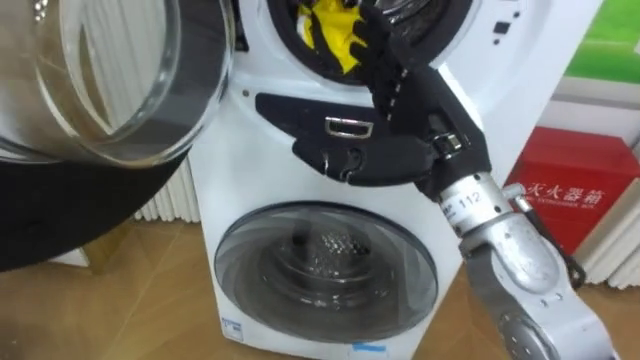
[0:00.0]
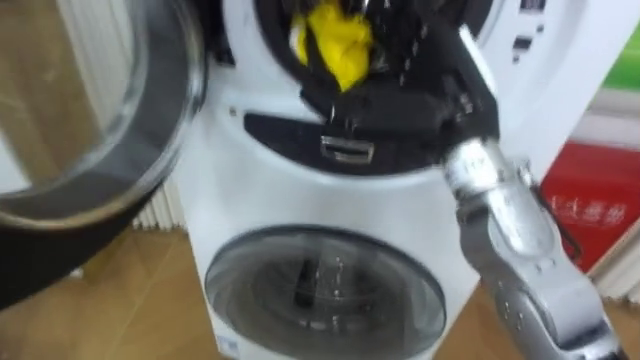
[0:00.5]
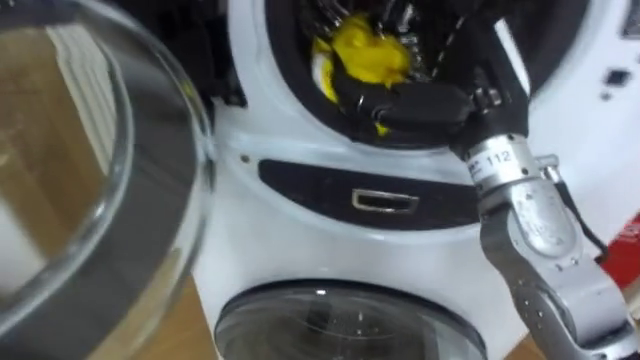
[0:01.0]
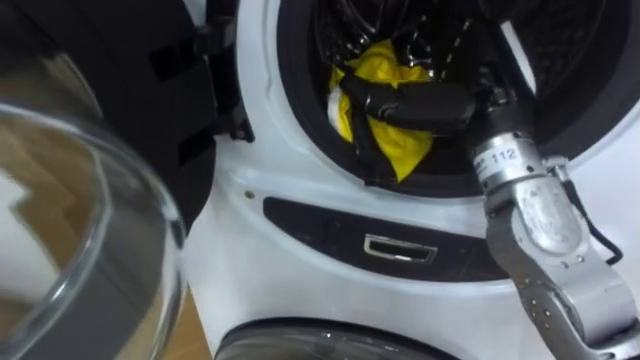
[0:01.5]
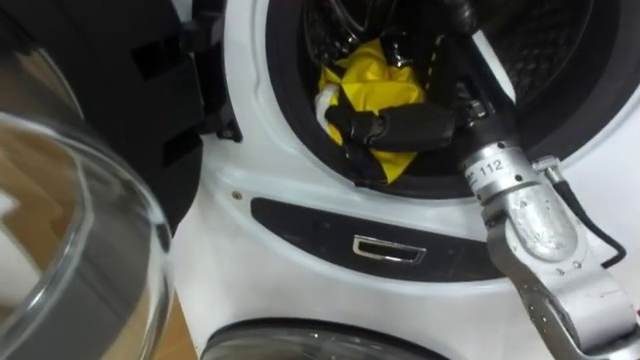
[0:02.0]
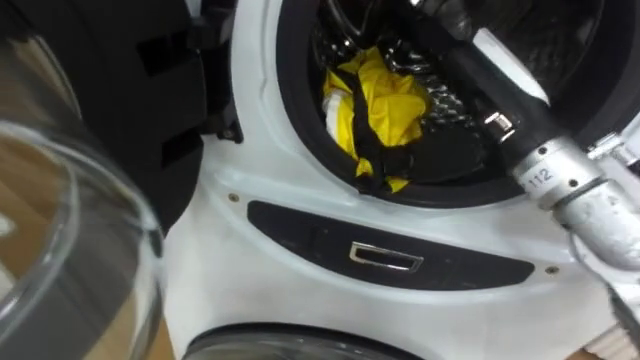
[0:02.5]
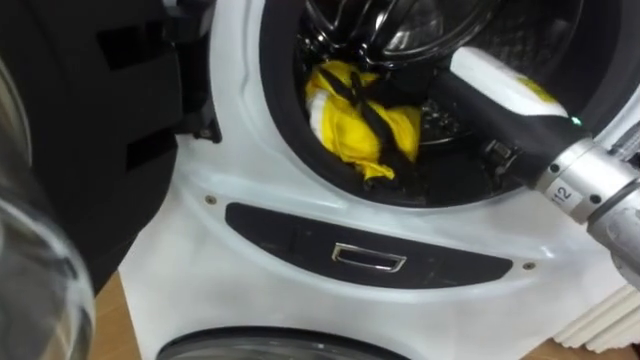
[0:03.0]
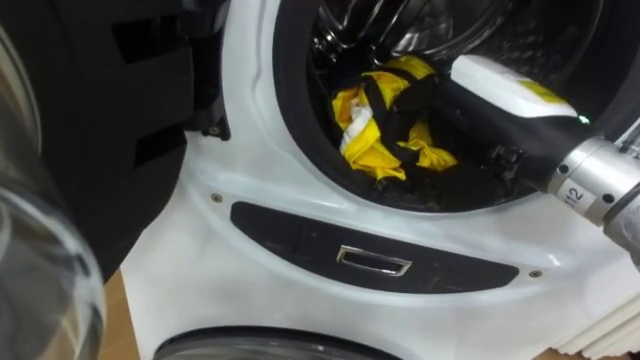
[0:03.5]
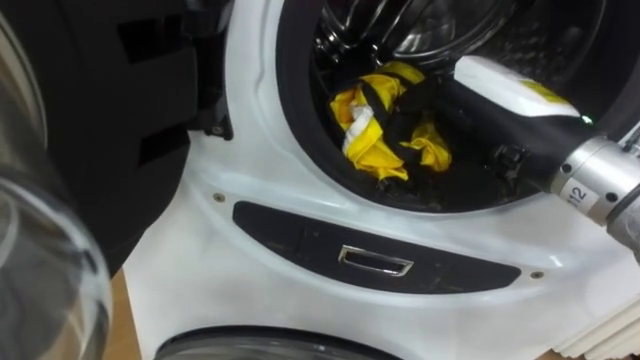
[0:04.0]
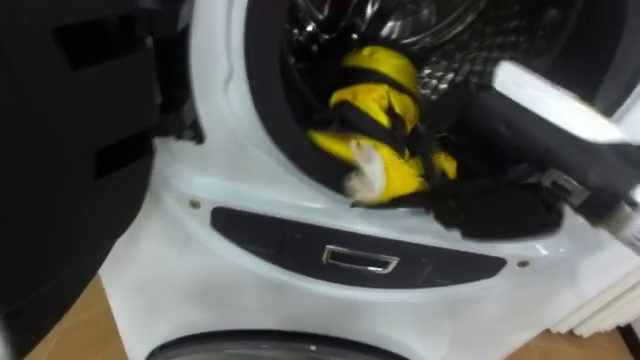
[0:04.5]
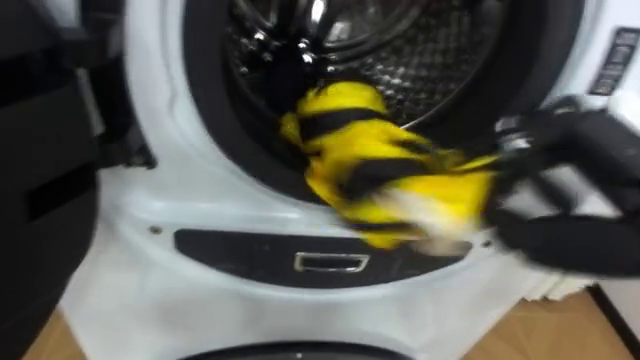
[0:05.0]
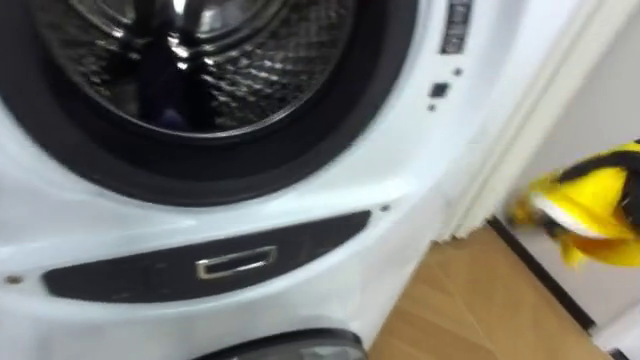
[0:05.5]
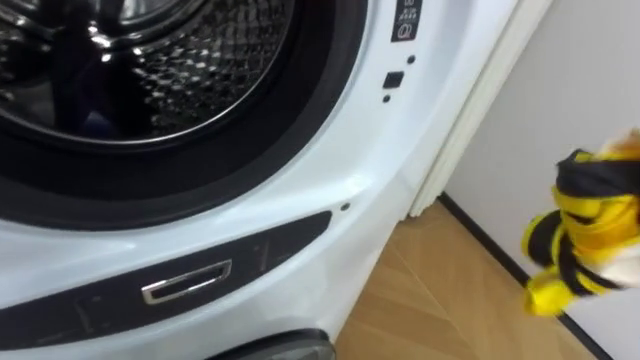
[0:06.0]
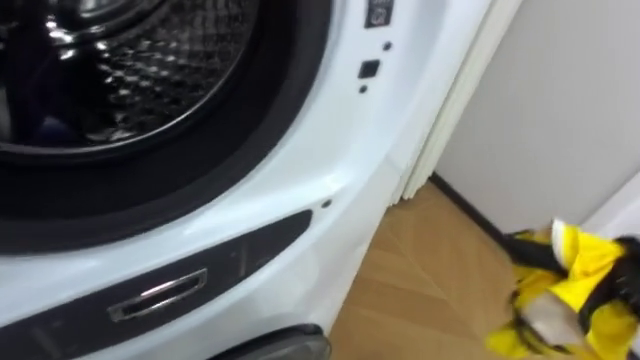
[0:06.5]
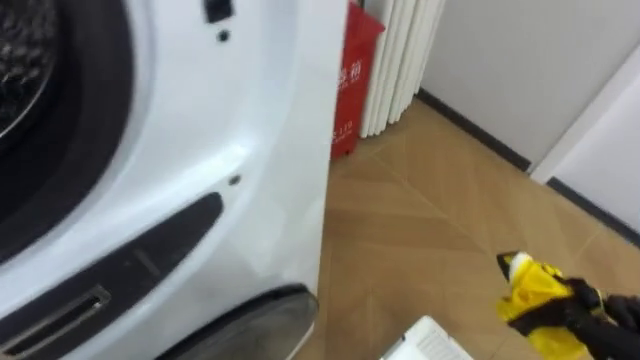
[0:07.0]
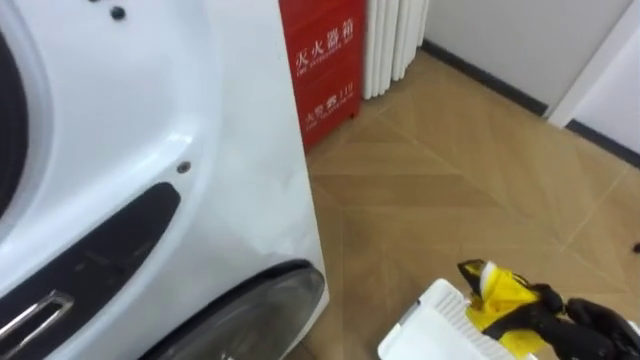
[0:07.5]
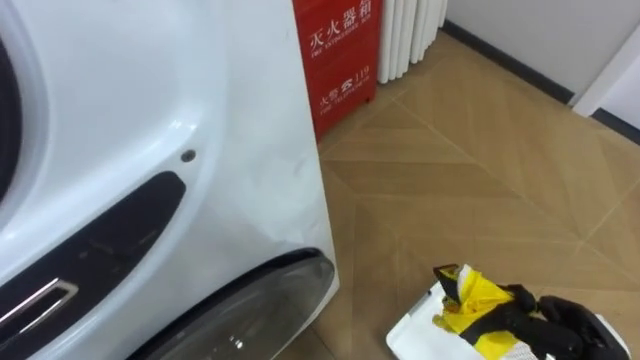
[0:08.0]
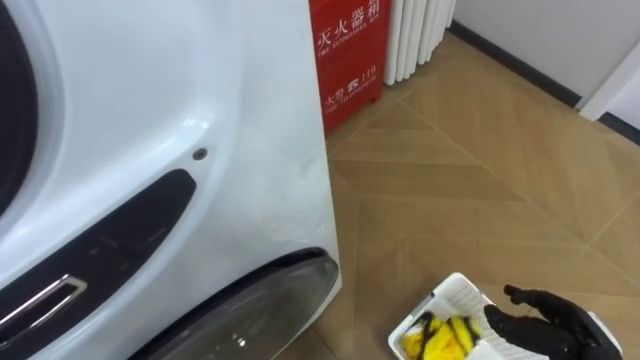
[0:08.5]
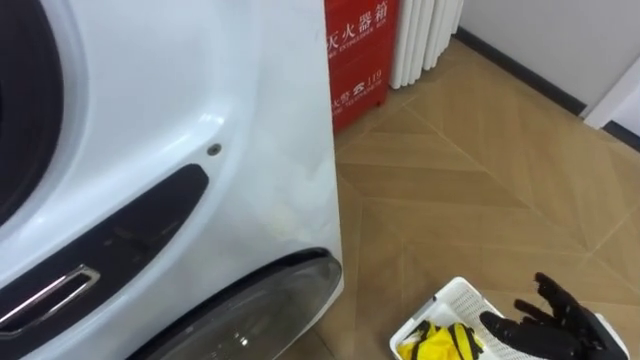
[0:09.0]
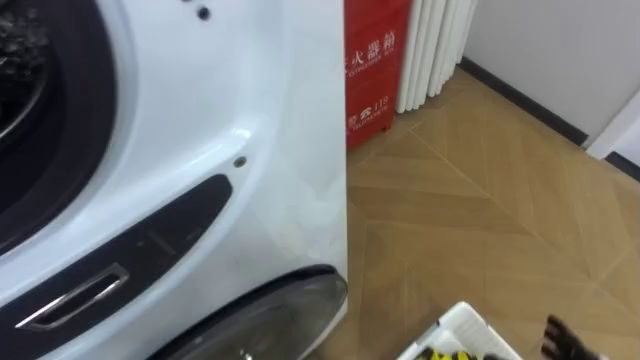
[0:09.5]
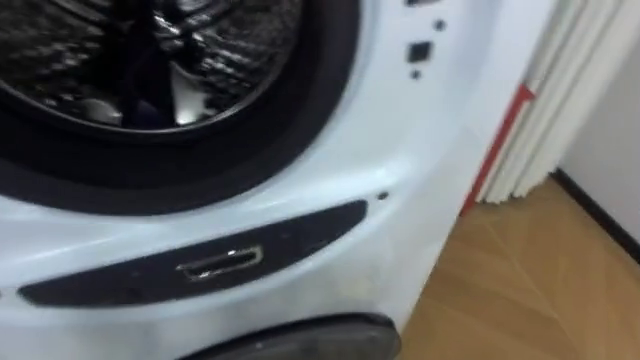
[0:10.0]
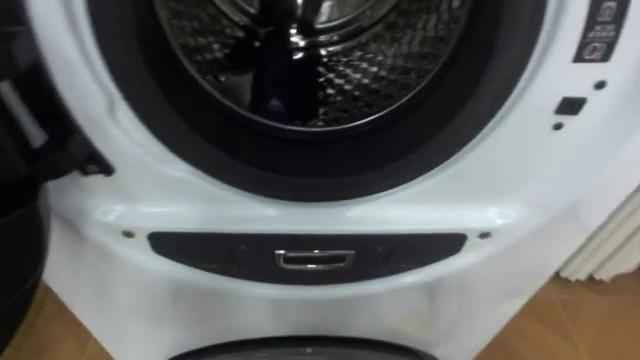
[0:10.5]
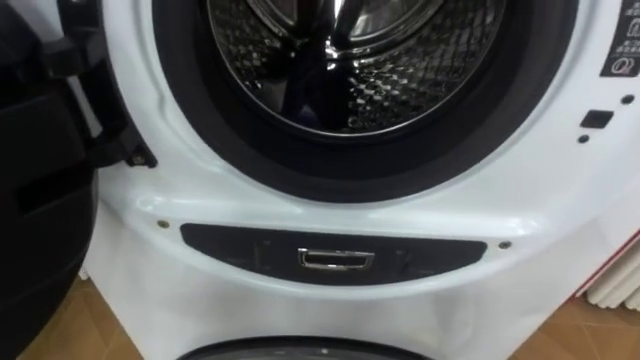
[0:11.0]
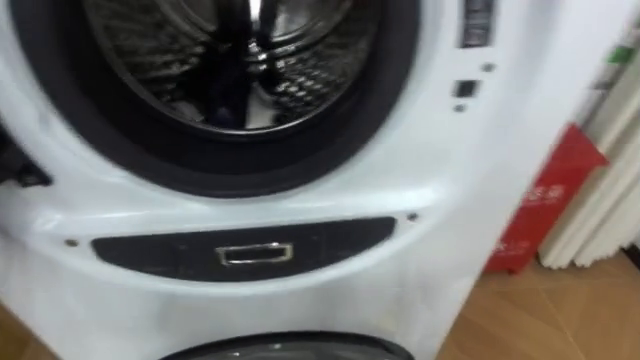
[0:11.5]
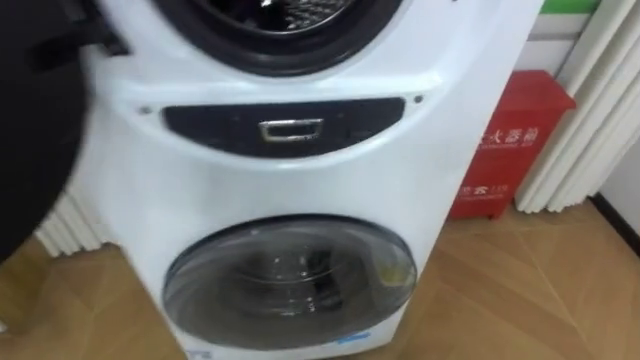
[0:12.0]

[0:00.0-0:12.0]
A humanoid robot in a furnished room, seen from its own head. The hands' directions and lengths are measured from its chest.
Task of the whole recording: Open the washing machine door, take out the yellow clothes, place them in the box on the right, and close the washing machine door.
0:02.0 to 0:04.0: The right hand goes about 5 cm backward, and closes its fingers.

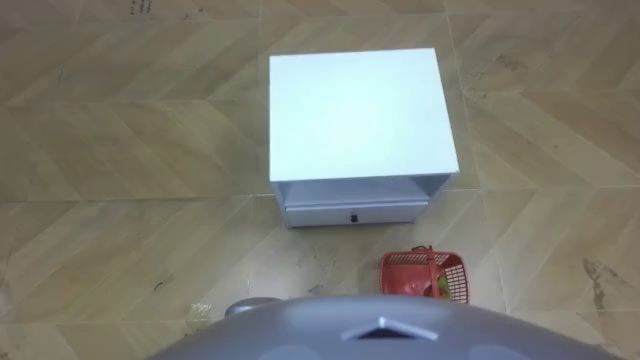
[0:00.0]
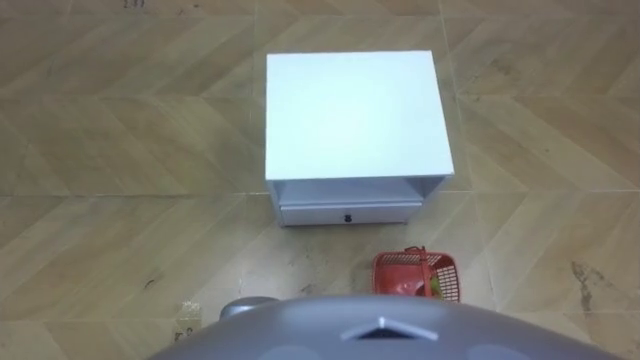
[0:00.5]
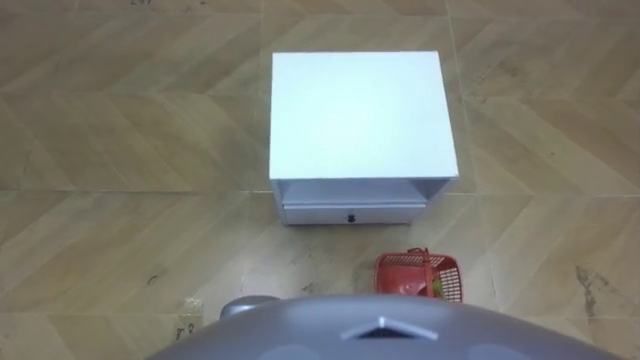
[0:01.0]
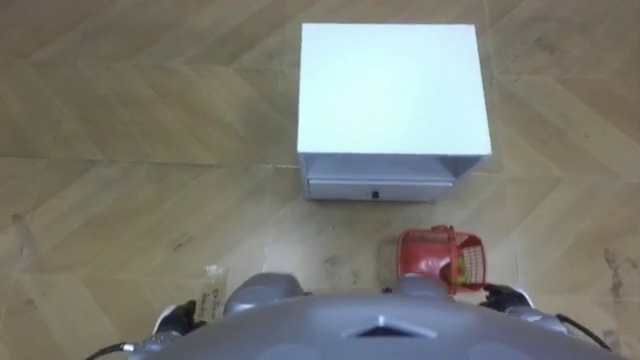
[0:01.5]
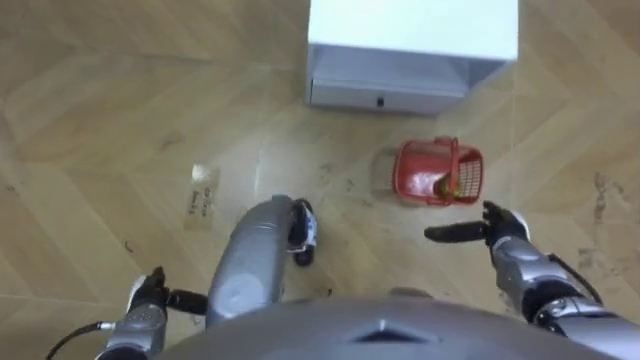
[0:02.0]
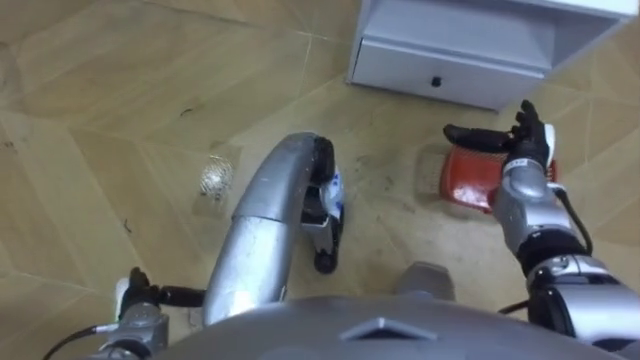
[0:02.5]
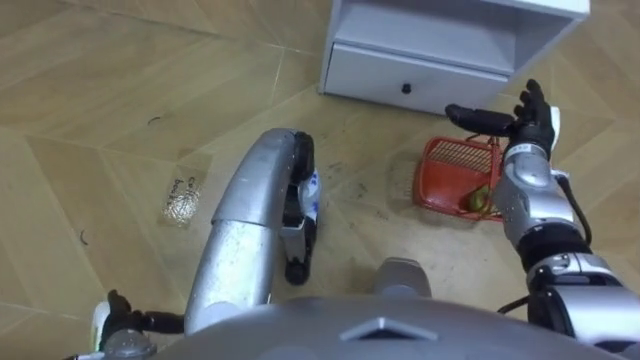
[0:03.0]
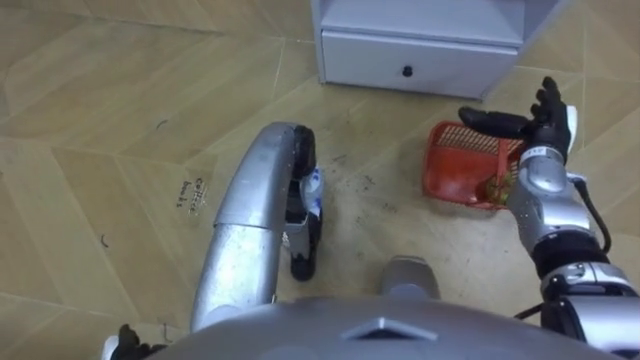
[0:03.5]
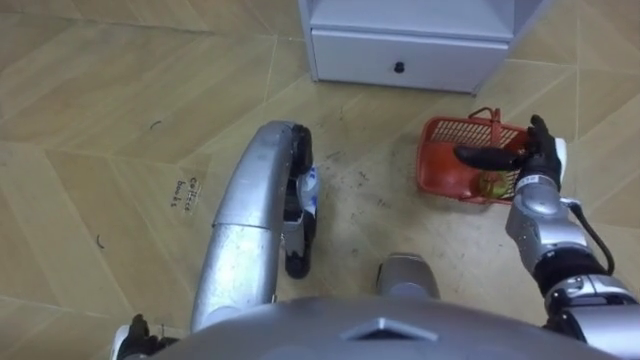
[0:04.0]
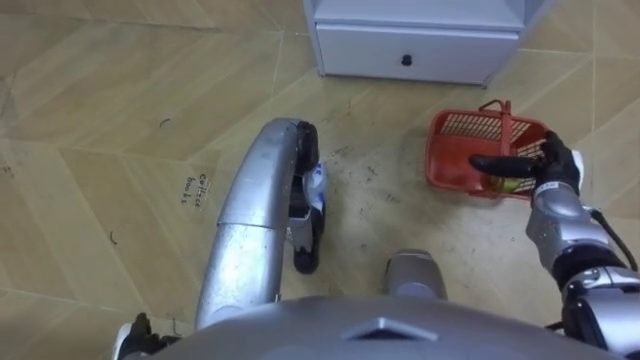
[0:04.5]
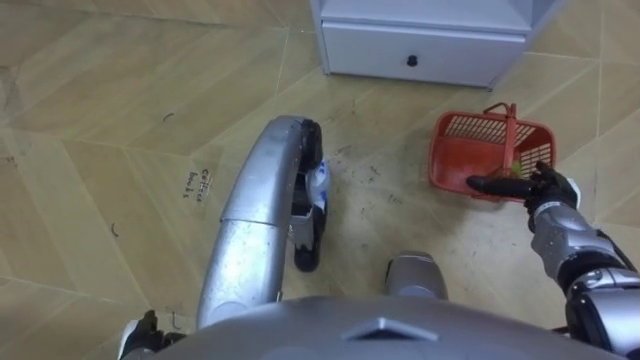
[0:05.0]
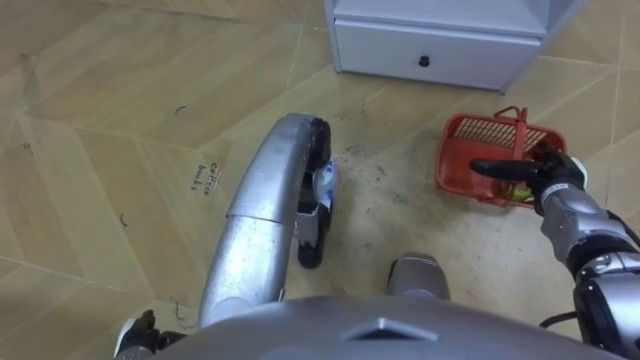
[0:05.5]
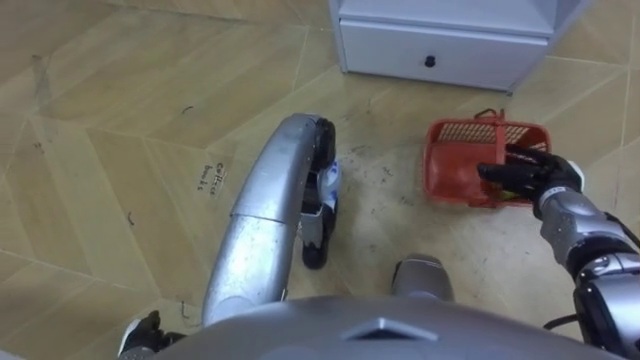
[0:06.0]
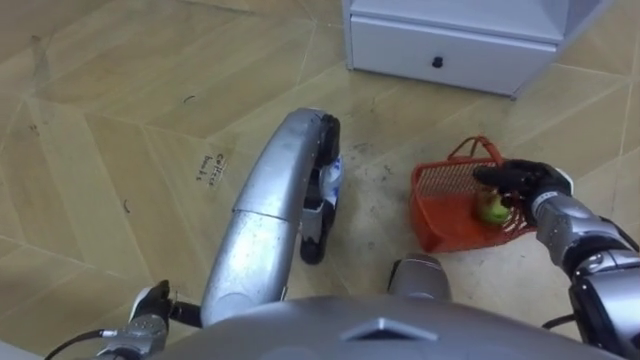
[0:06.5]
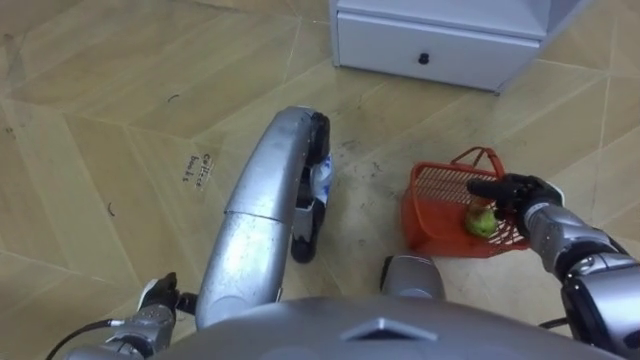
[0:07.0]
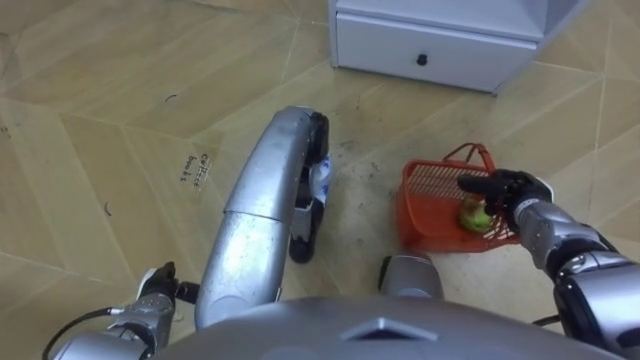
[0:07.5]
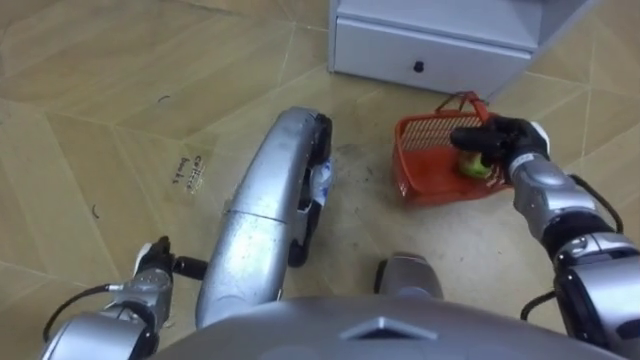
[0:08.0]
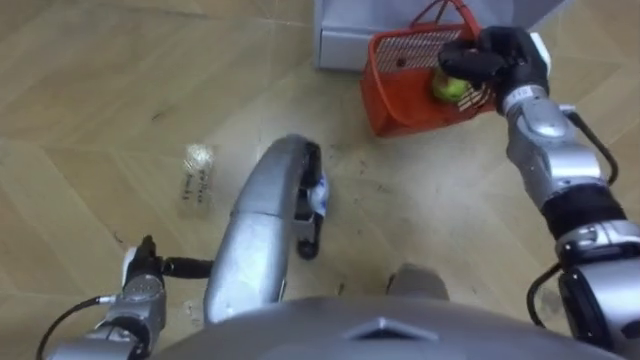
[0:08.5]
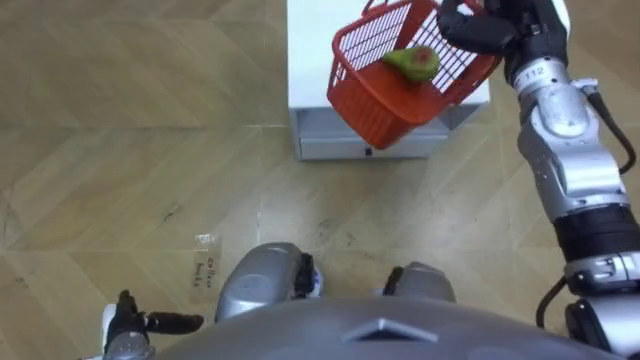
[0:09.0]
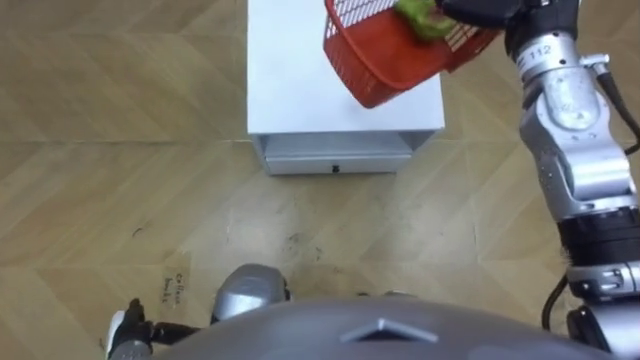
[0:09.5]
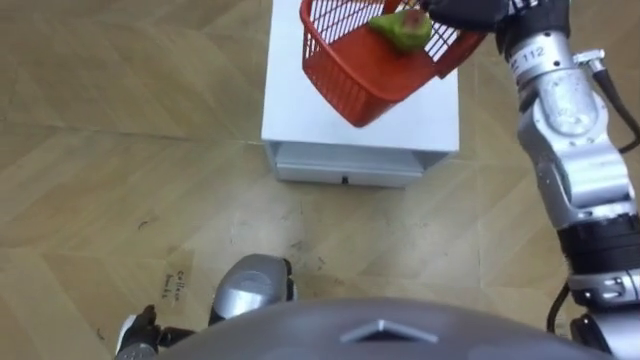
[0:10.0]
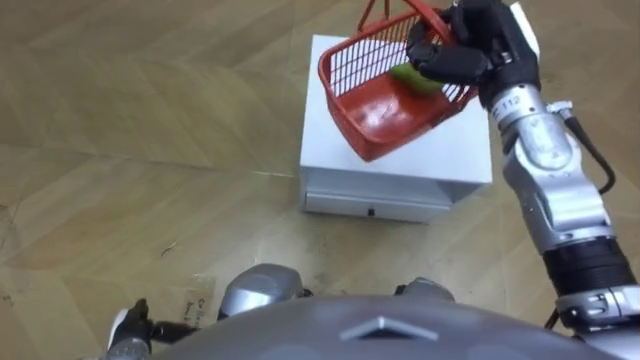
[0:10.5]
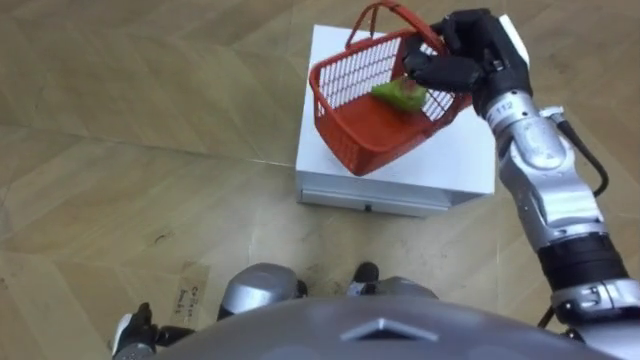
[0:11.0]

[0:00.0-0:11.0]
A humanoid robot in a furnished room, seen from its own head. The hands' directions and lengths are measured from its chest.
Task of the whole recording: Pick up the fruit basket from the floor and place it on the cabinet.
0:02.0 to 0:03.5: The right hand is displaced forward and upward by approximately 15 cm.
0:03.5 to 0:05.5: The right hand shifts approximately 5 cm downward and backward.
0:05.5 to 0:07.5: The right hand closes up. The left hand moves forward, about 10 cm.
0:07.5 to 0:09.0: The robot rotates about 15 degrees to its right. The left hand shifts some 5 cm backward, while the right hand shifts roughly 25 cm upward and forward.
